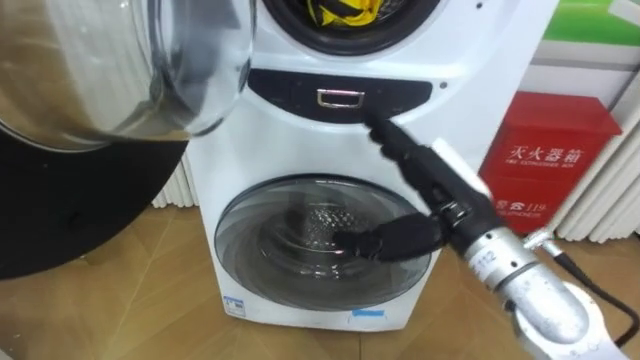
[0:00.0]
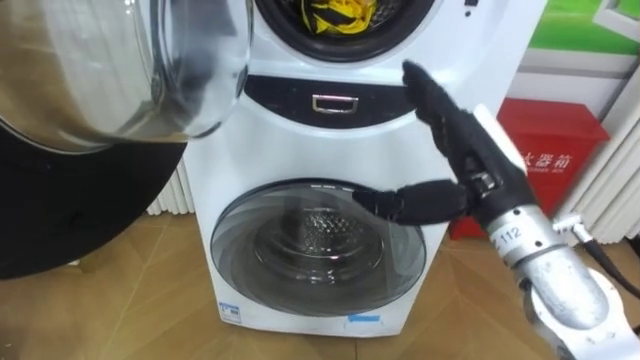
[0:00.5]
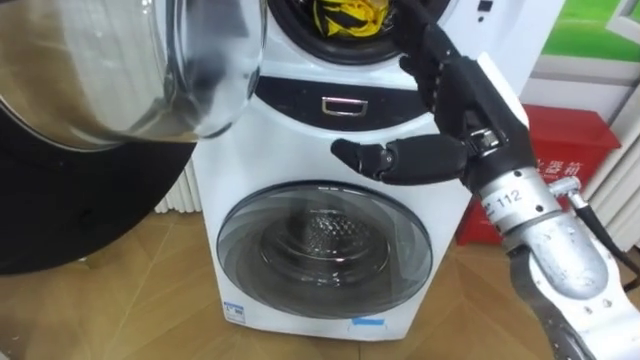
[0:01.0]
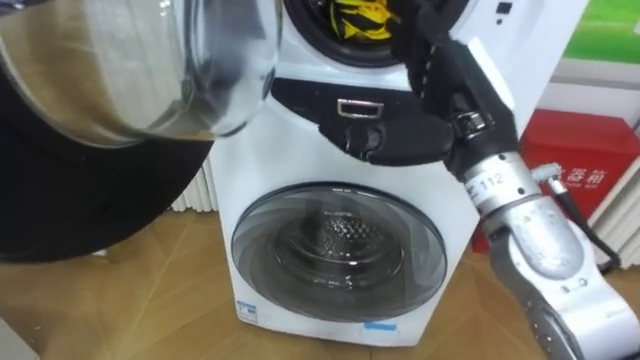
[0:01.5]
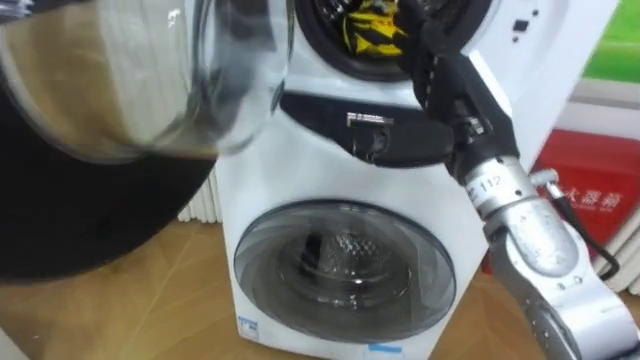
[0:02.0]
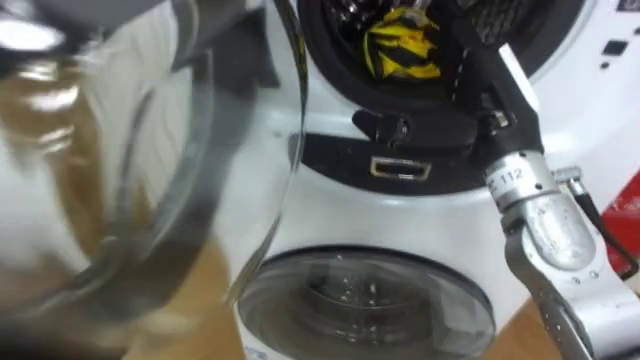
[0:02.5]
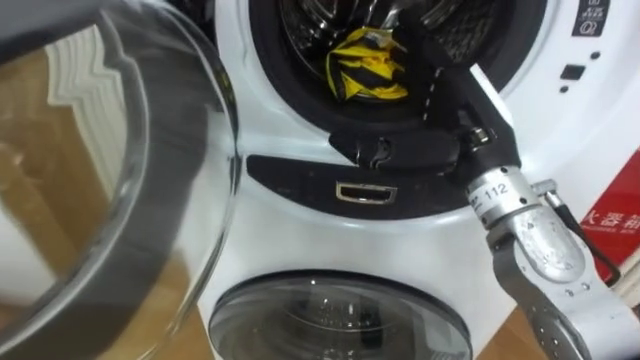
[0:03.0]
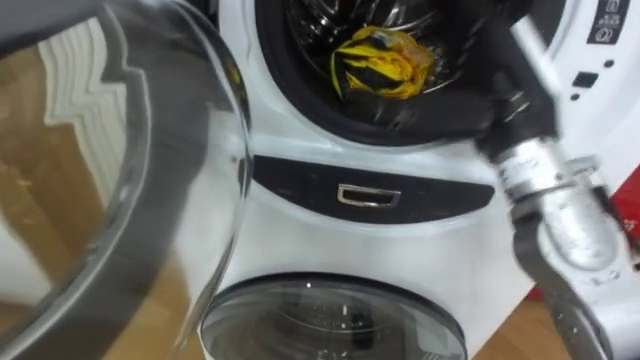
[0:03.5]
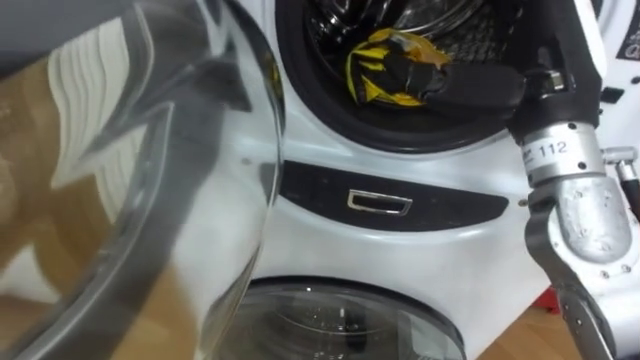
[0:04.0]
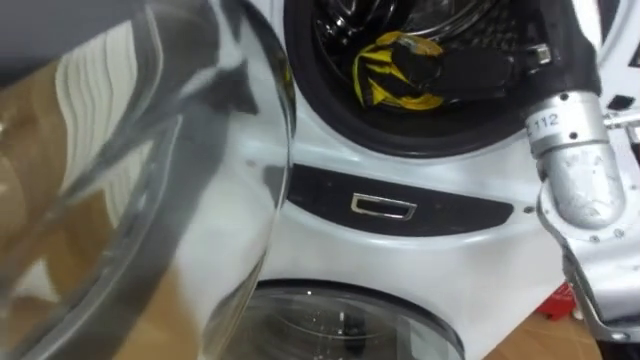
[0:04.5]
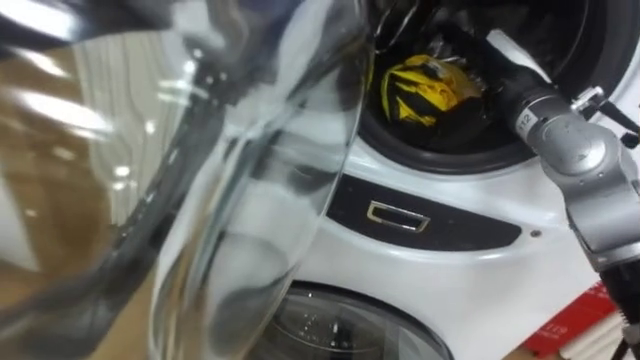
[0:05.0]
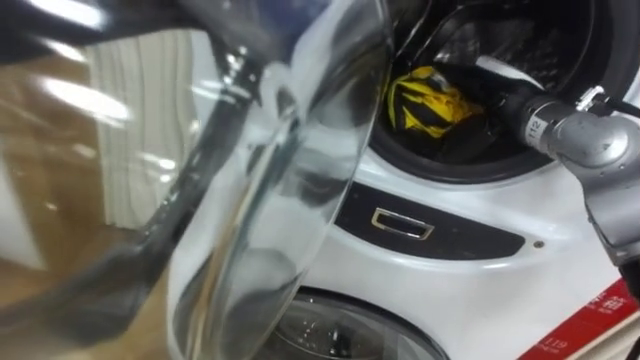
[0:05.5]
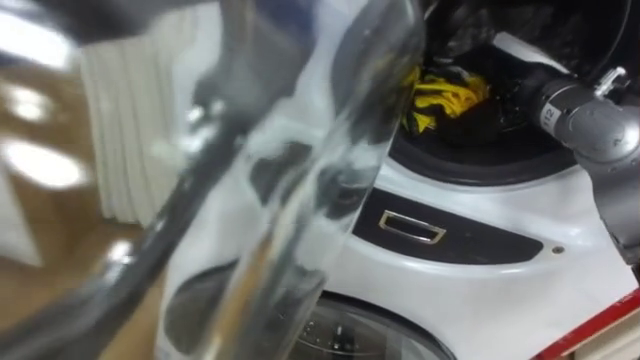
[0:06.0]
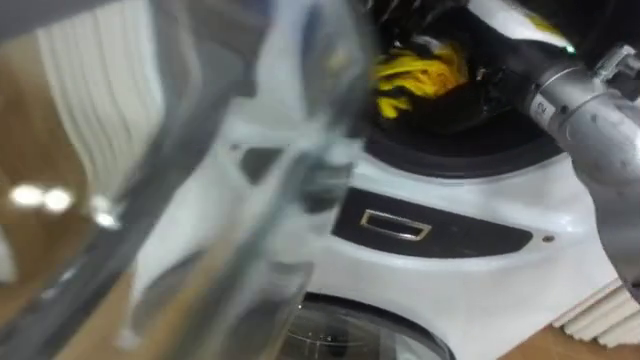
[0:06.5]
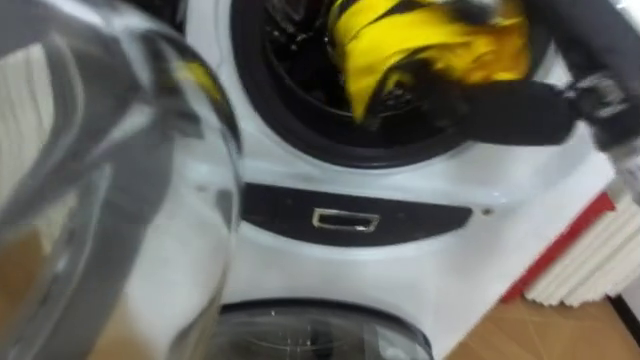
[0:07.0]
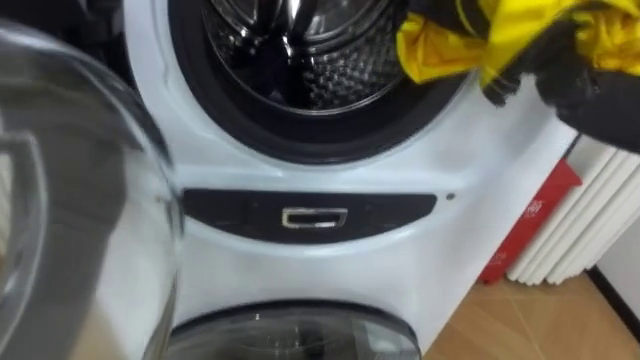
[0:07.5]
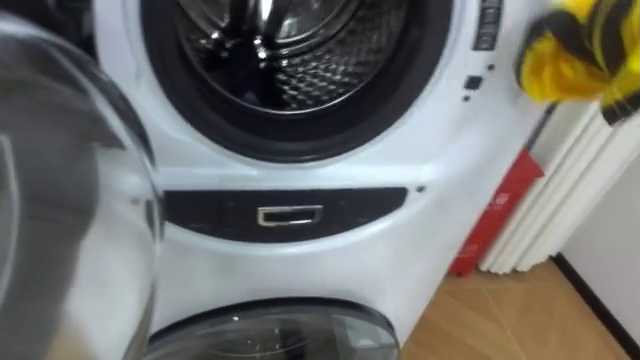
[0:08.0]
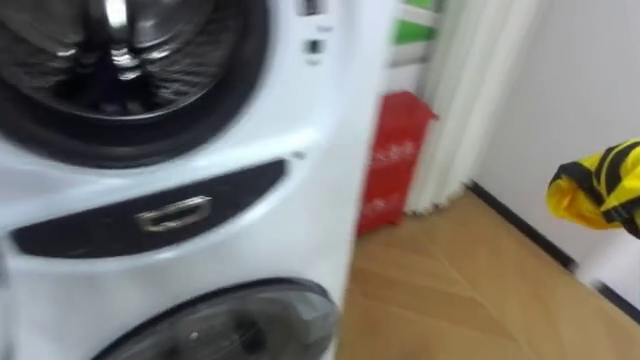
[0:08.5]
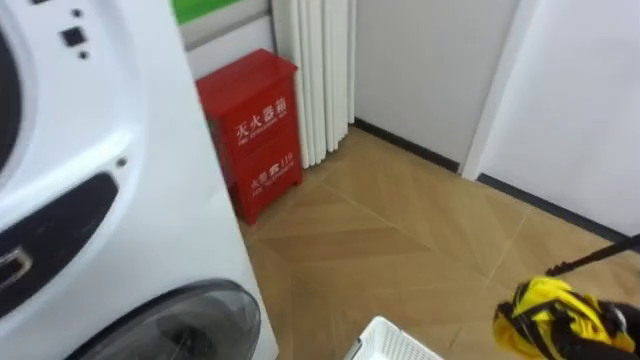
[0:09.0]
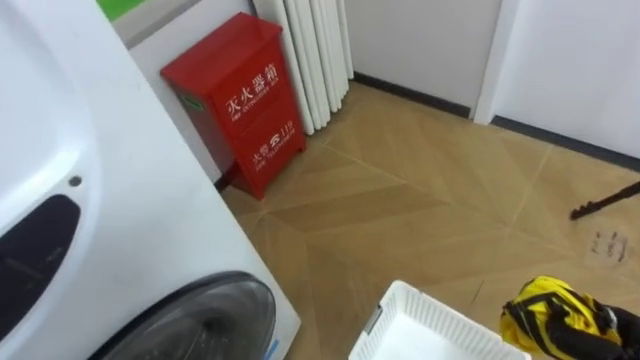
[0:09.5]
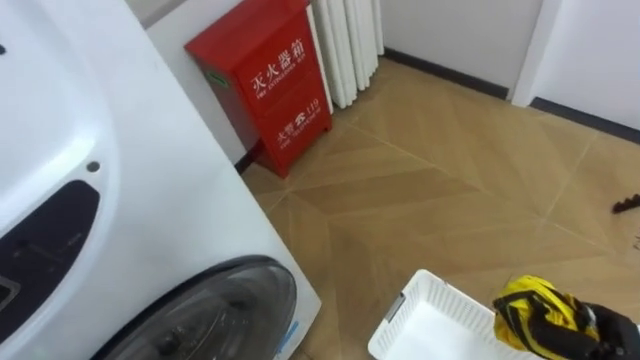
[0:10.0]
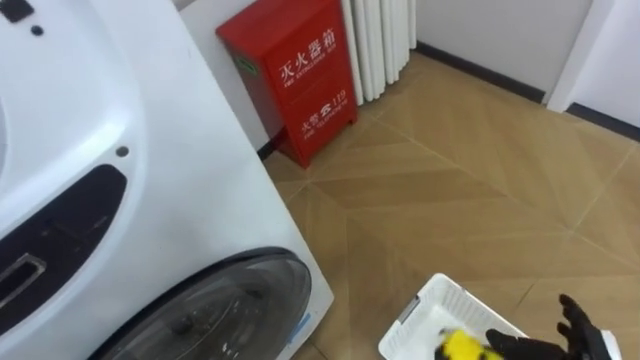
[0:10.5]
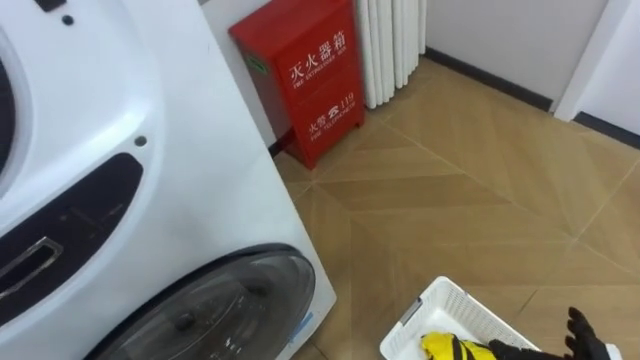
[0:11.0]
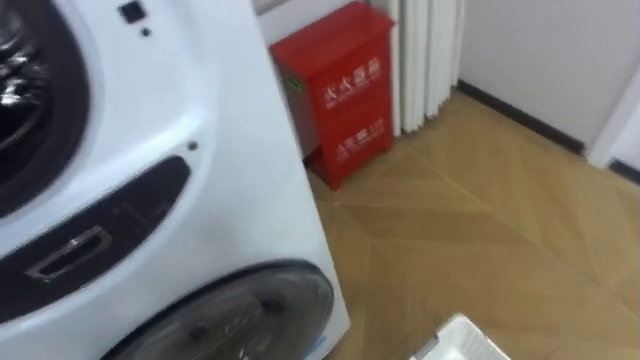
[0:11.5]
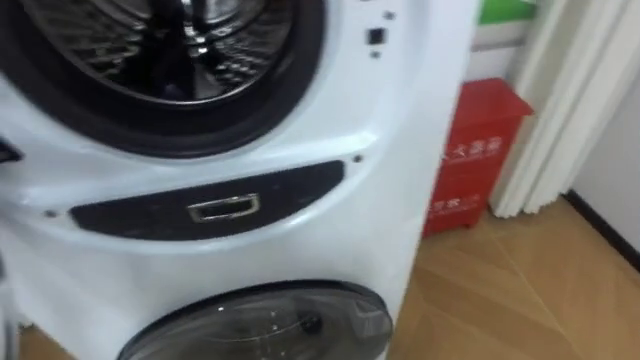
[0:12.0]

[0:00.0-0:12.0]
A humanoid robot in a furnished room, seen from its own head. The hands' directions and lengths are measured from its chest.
Task of the whole recording: Open the washing machine door, take out the yellow clothes, place them in the box on the right, and close the washing machine door.
0:00.0 to 0:02.0: The right hand moves upward, about 5 cm.
0:02.0 to 0:04.0: The right hand heads upward, covering roughly 5 cm.
0:04.0 to 0:06.0: The right hand shifts approximately 10 cm forward and downward, and closes its fingers.
0:10.0 to 0:12.0: The robot's body swings roughly 25 degrees to its left.

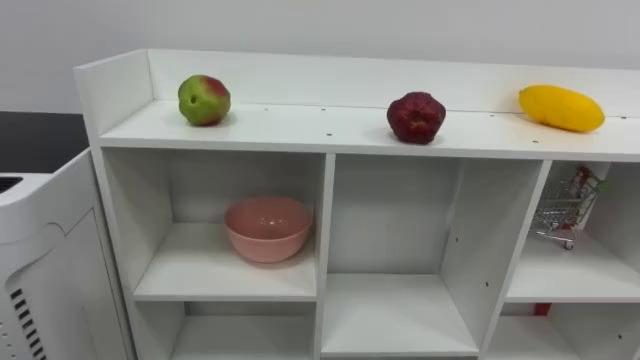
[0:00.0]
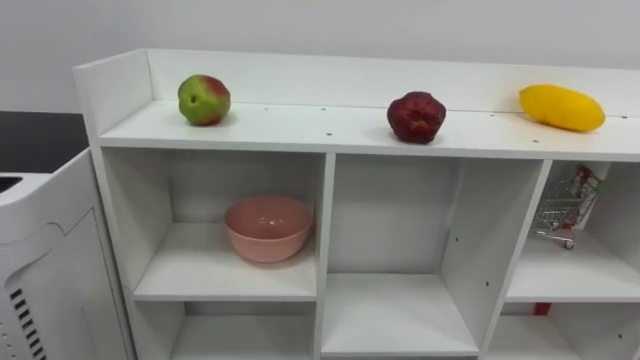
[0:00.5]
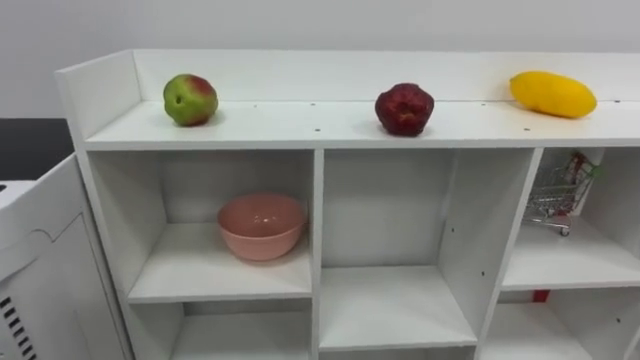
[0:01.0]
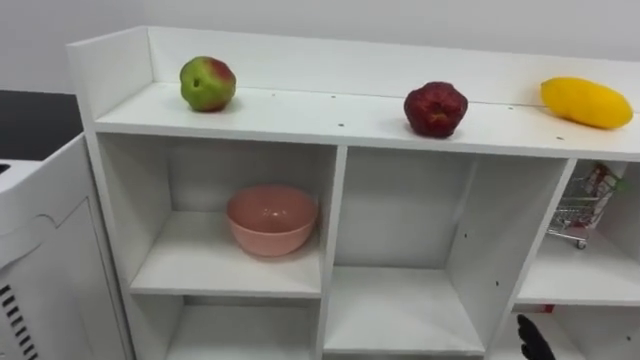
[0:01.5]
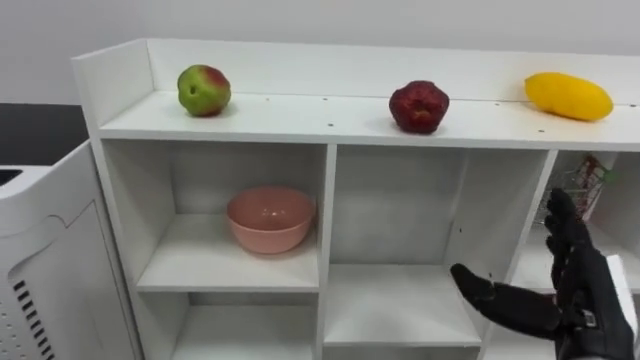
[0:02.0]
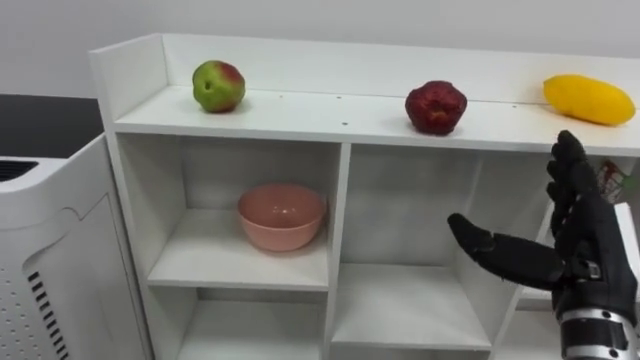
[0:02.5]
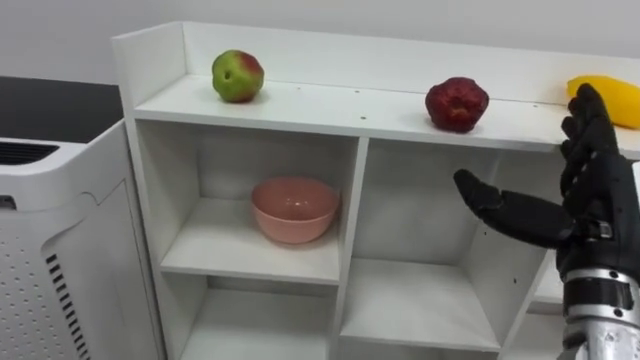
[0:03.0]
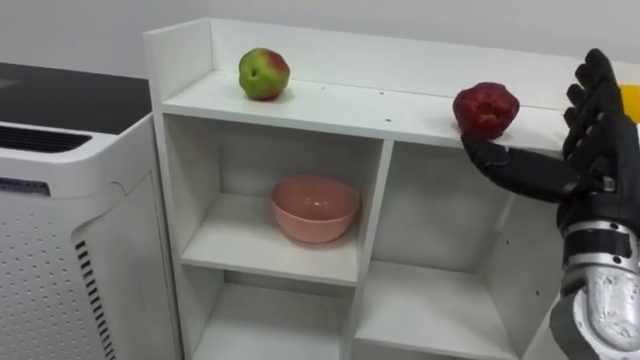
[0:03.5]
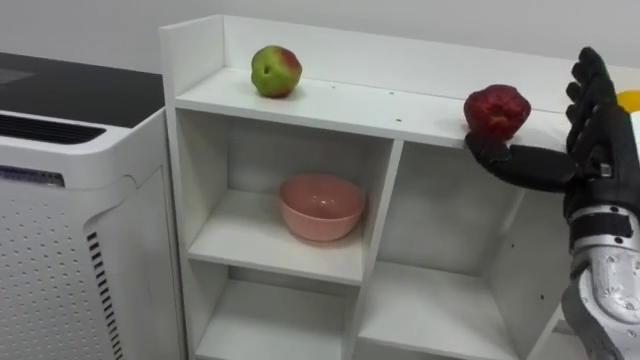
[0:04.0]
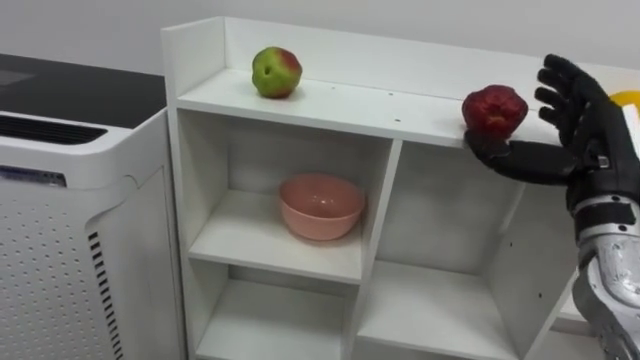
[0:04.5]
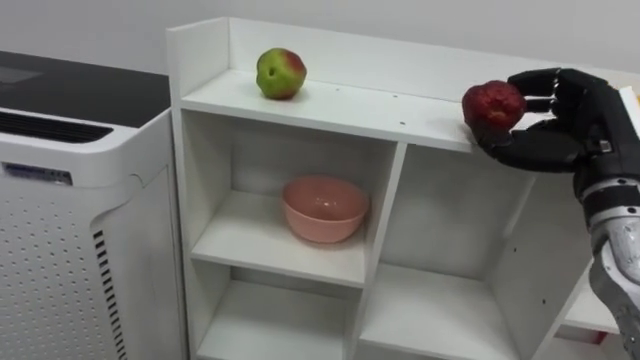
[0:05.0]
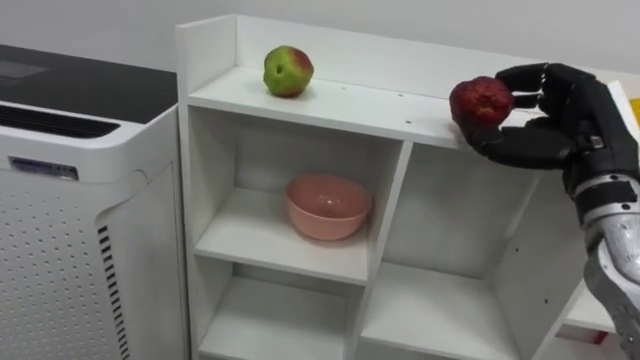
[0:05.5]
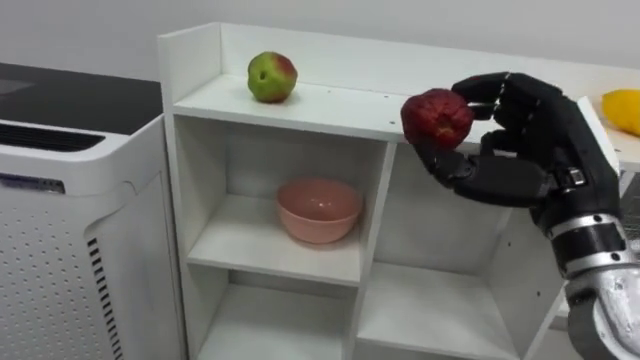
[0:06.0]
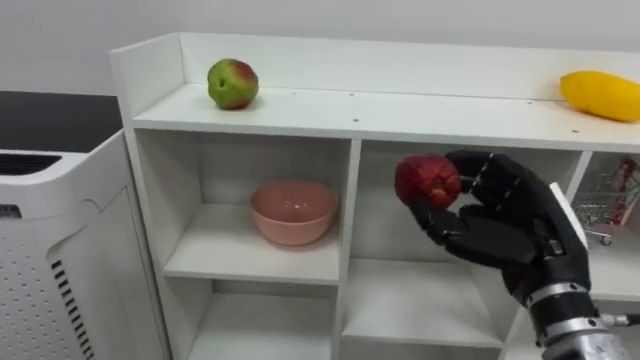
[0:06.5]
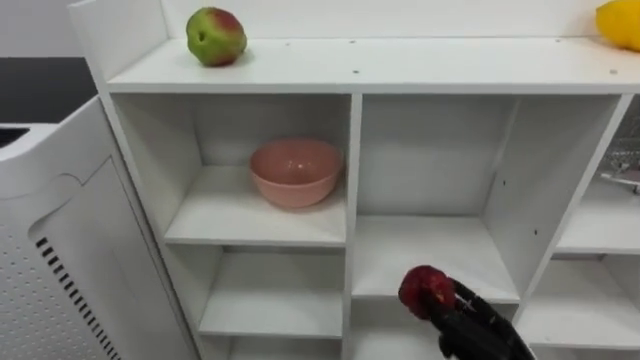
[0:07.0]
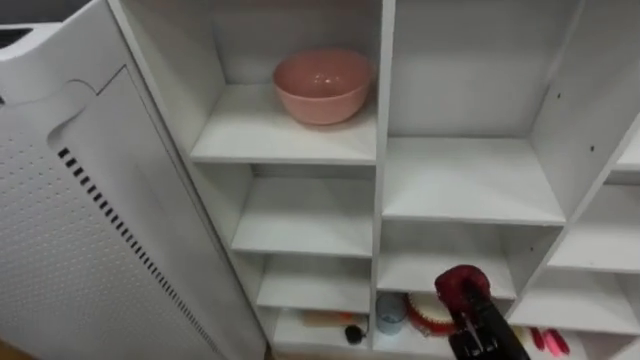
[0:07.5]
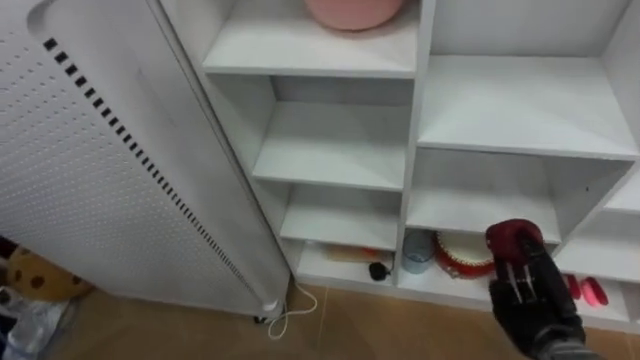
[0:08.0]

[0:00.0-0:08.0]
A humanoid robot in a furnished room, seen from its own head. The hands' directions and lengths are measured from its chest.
Task of the whole recording: Put the apple in the cell in the second column from the left and the second row from the top.
0:02.0 to 0:04.0: The right hand is displaced upward and forward by approximately 15 cm.
0:04.0 to 0:06.0: The right hand shifts about 5 cm to the left, and closes up.
